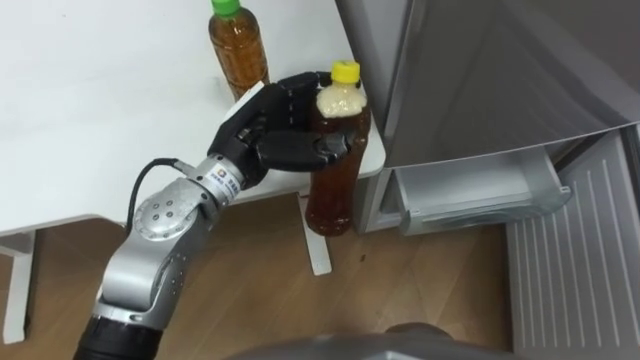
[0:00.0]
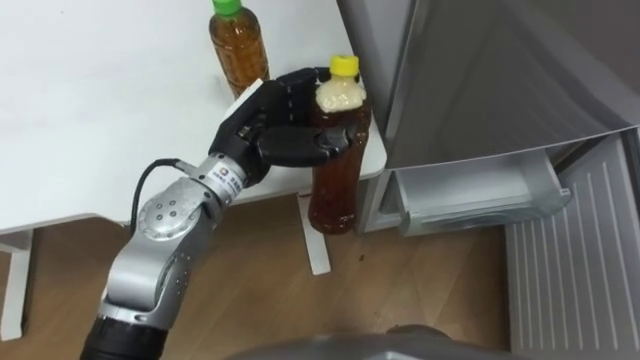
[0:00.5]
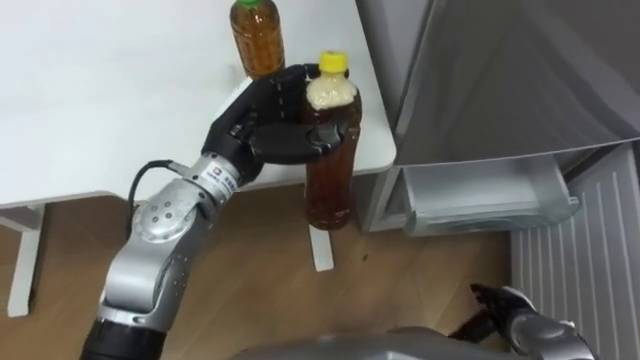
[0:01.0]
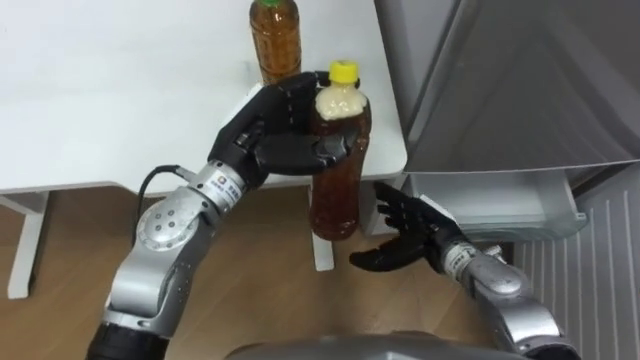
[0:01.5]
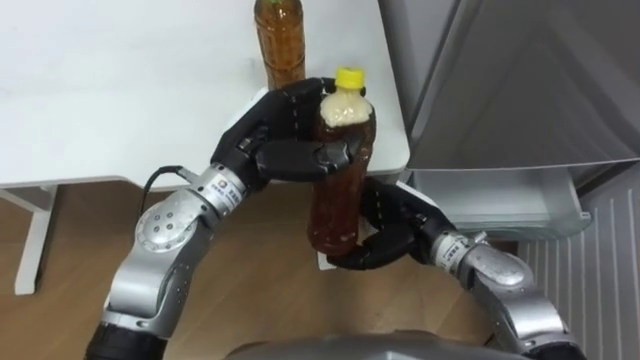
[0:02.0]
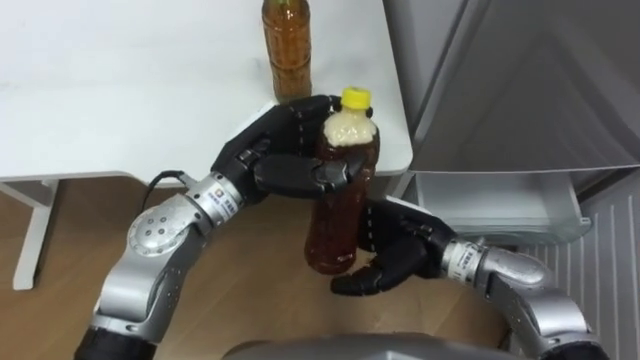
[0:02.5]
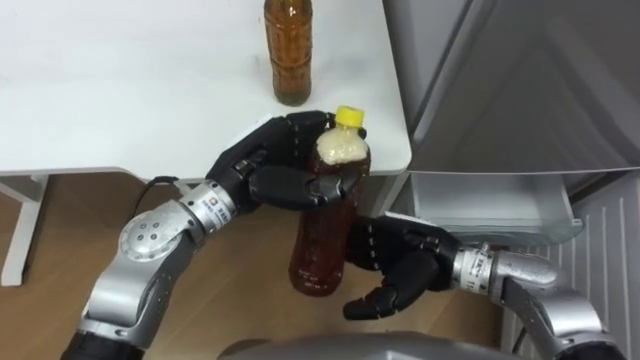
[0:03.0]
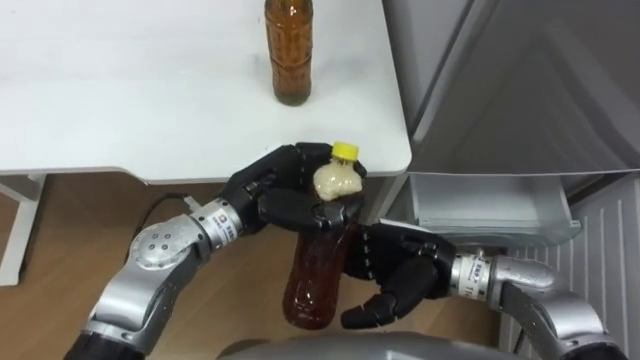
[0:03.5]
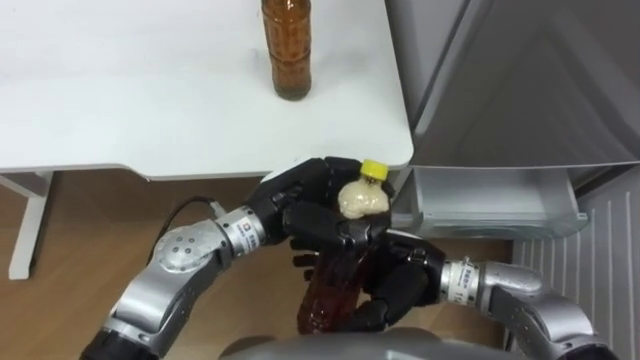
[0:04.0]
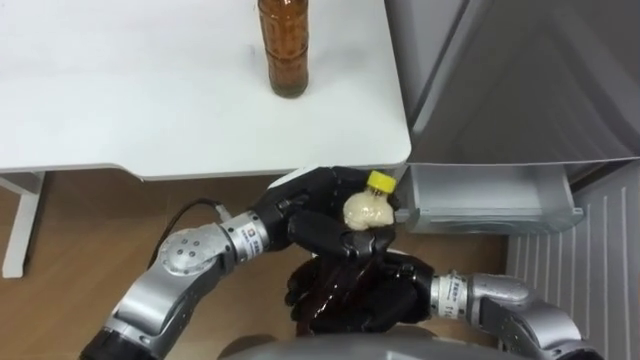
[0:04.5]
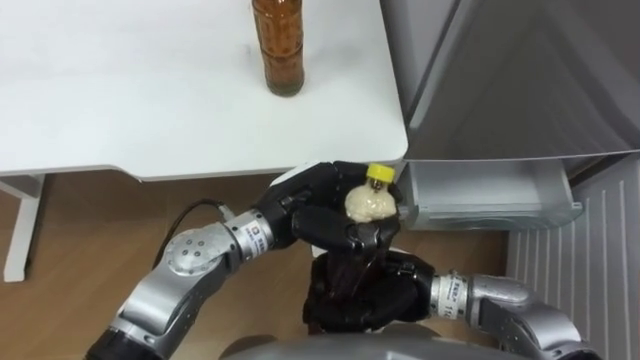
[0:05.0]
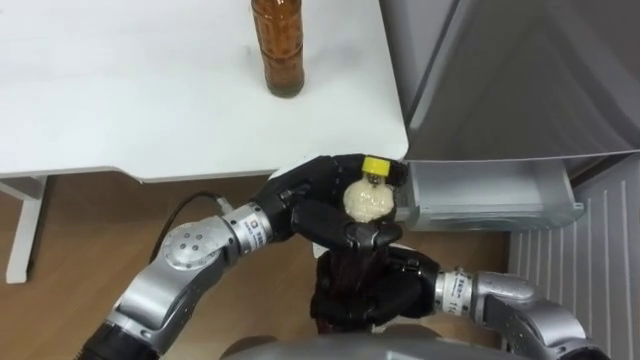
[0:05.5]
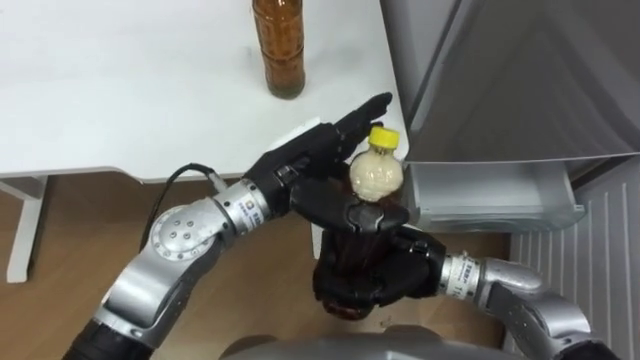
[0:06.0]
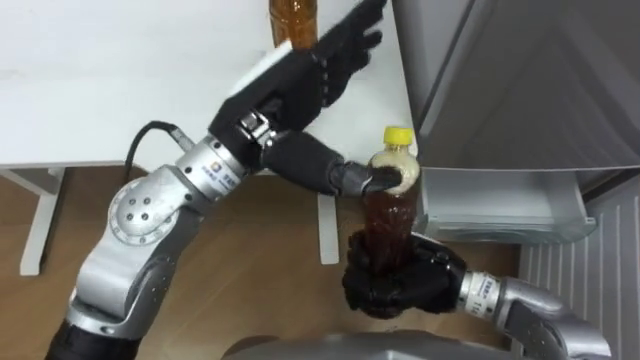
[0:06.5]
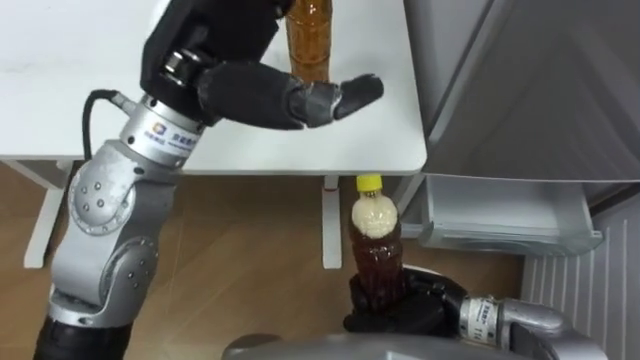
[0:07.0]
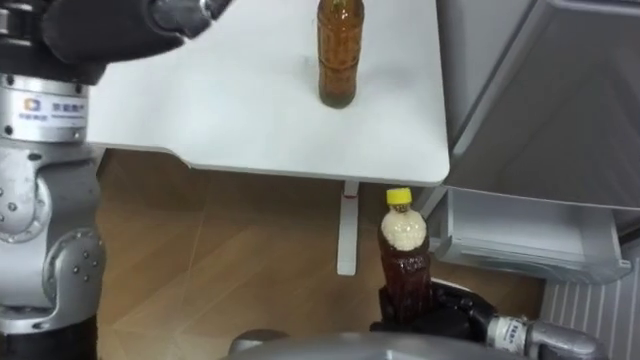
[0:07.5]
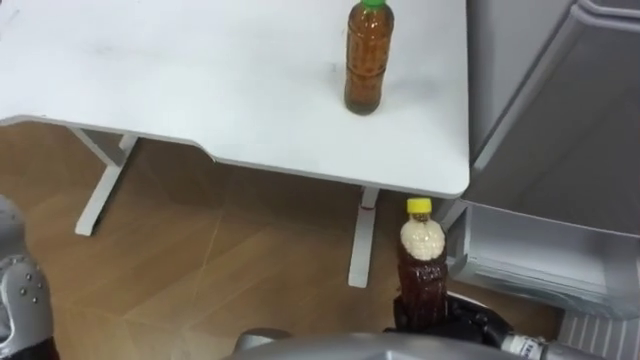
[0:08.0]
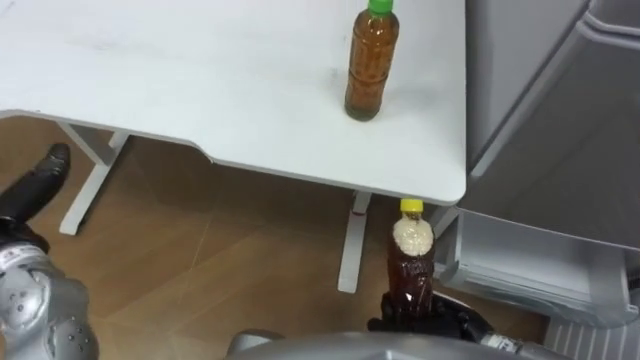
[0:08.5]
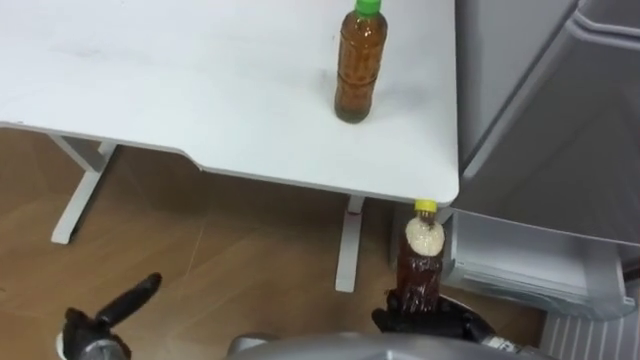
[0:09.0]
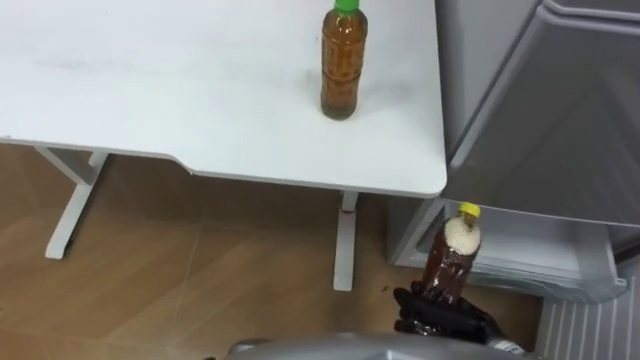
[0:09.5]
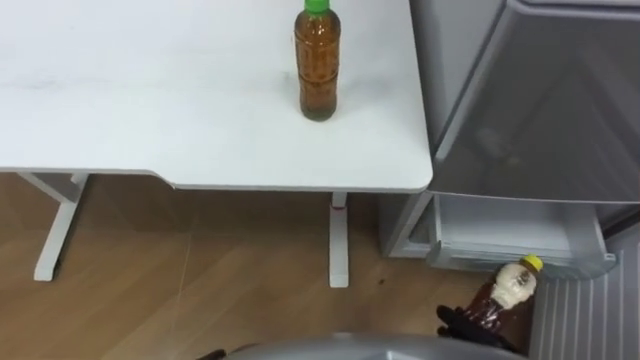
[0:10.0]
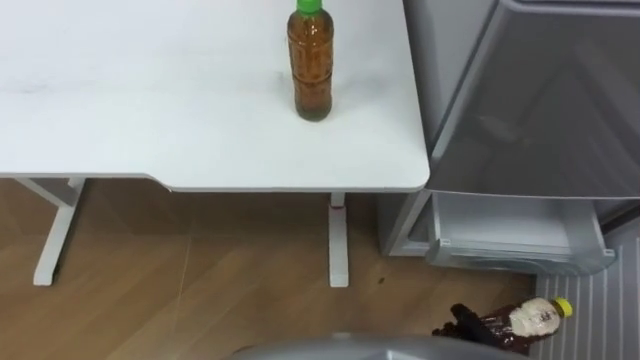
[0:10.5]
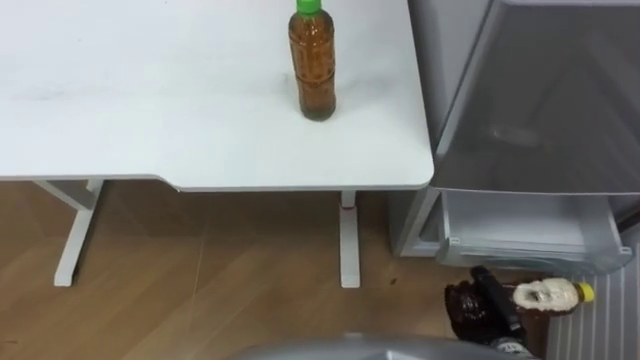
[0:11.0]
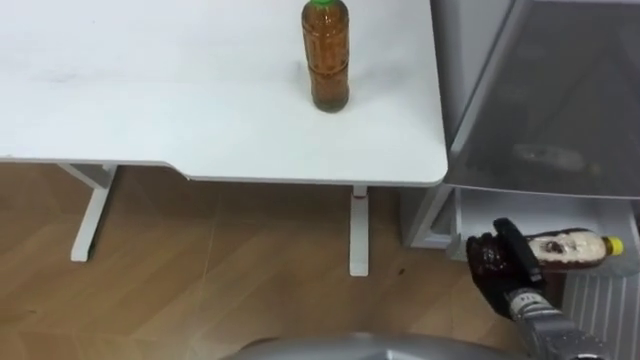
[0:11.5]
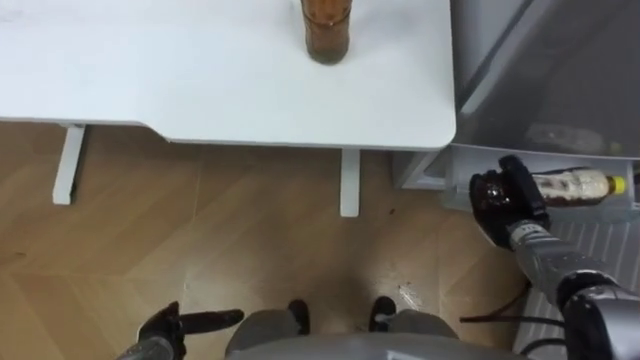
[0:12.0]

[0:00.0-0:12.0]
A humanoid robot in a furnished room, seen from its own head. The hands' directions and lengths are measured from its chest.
Task of the whole recording: Place the drink on the table on the bottom shelf of the refrigerator, then close the drawer and the refrigerator door.
0:02.0 to 0:04.0: The left hand goes roughly 5 cm downward, while the right hand goes about 5 cm backward.
0:04.0 to 0:06.0: The right hand closes, while the left hand goes some 5 cm upward, and opens its fingers.
0:06.0 to 0:08.0: The right hand travels to the right, backward and downward by roughly 15 cm.
0:08.0 to 0:10.0: The right hand heads downward and to the right, covering some 10 cm.

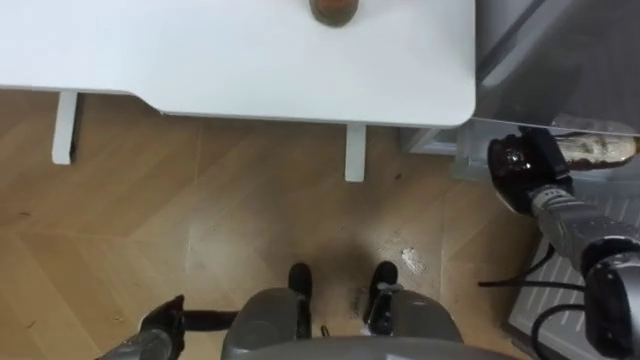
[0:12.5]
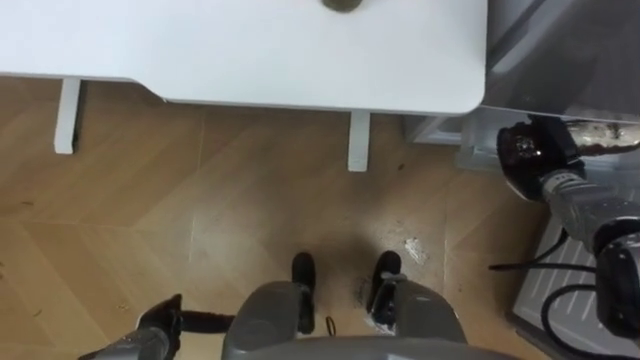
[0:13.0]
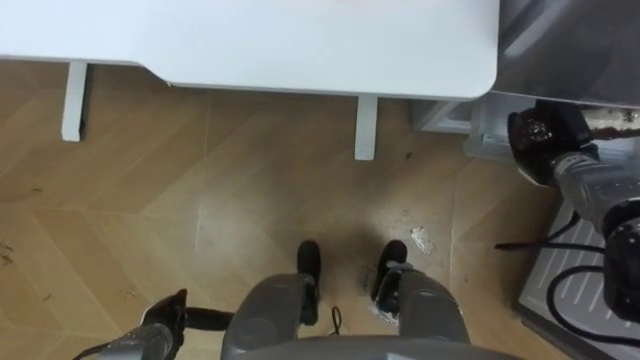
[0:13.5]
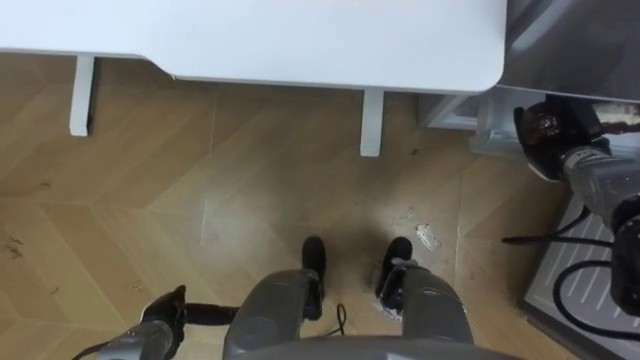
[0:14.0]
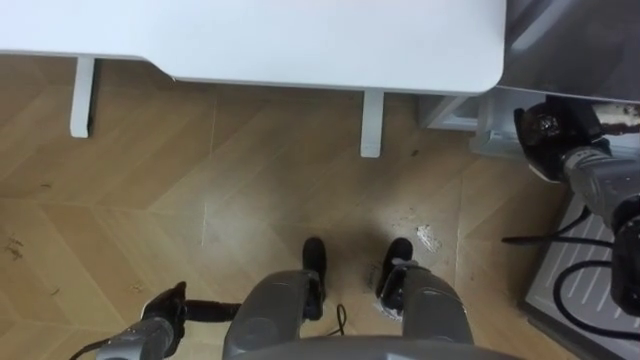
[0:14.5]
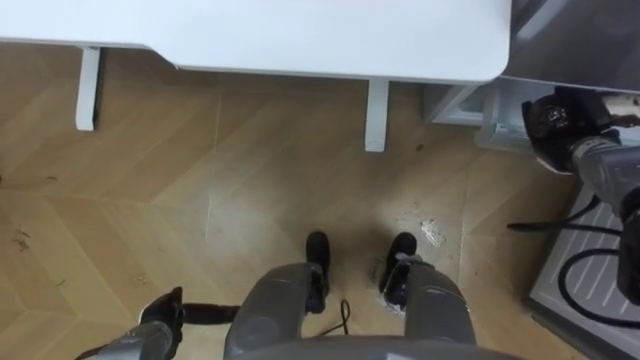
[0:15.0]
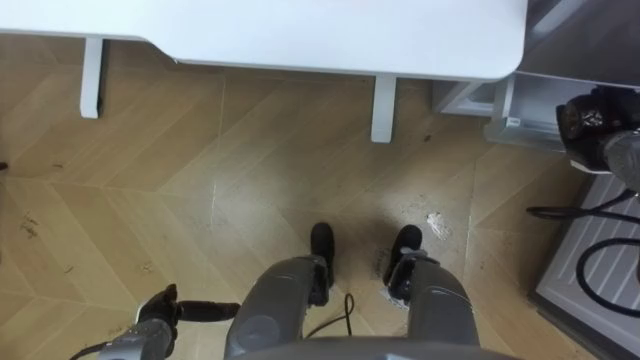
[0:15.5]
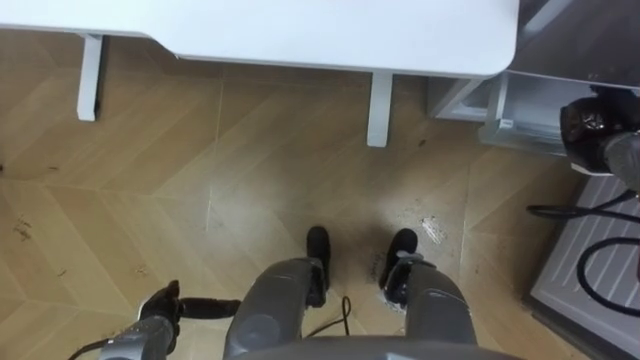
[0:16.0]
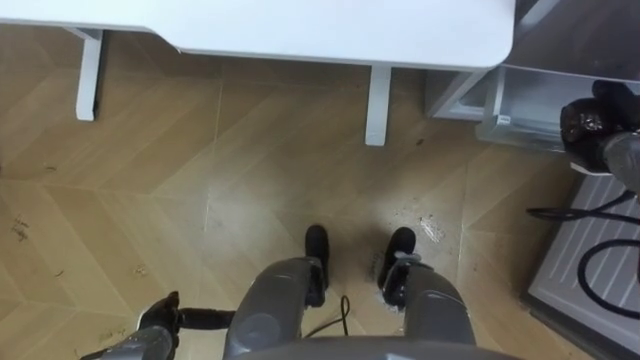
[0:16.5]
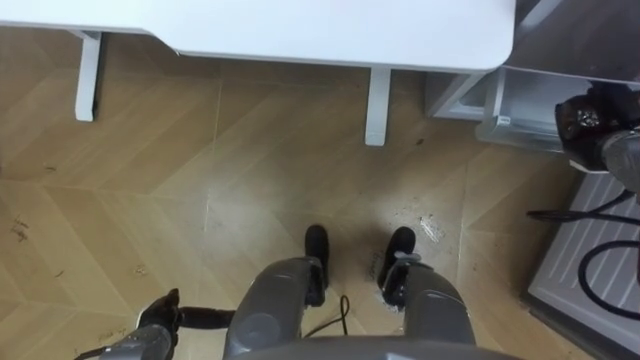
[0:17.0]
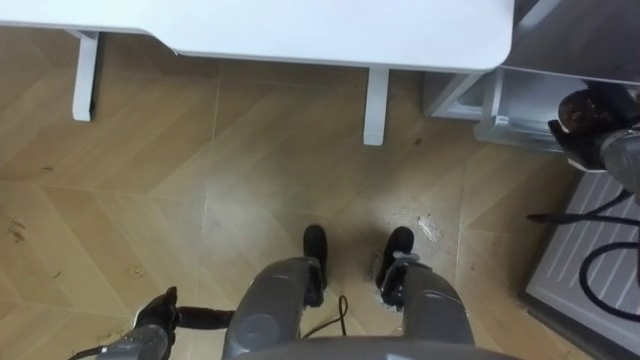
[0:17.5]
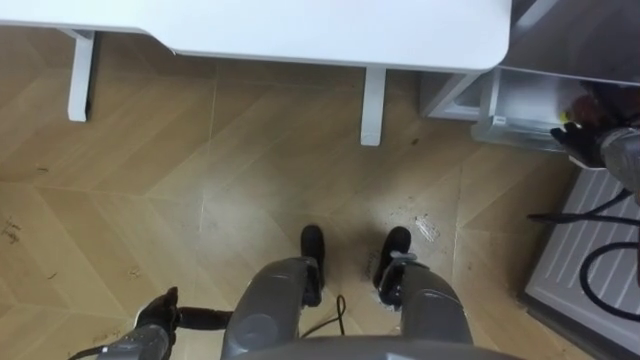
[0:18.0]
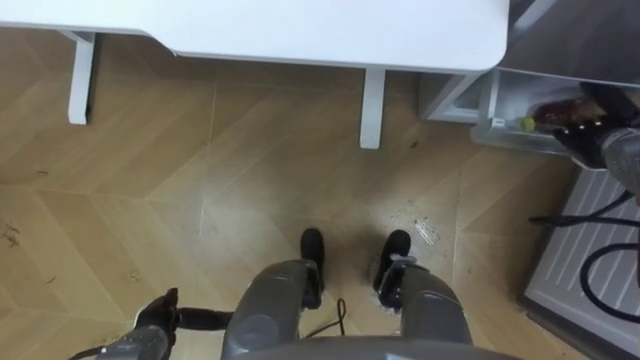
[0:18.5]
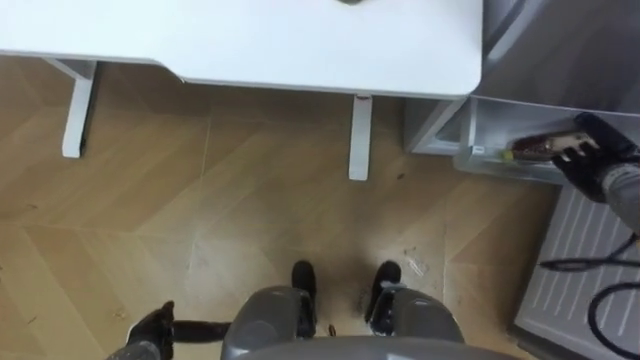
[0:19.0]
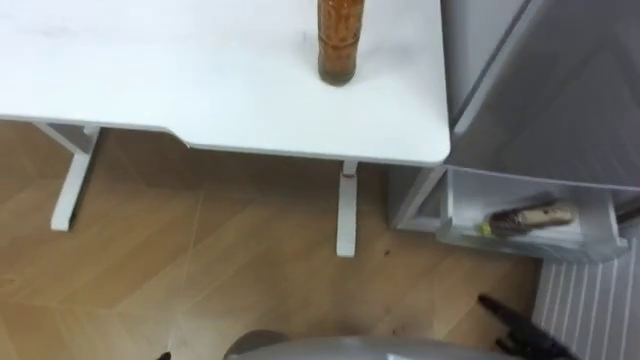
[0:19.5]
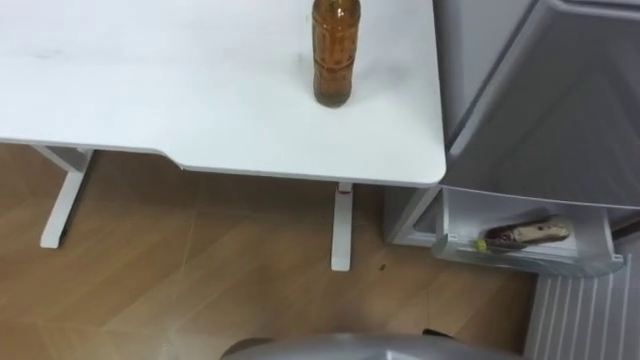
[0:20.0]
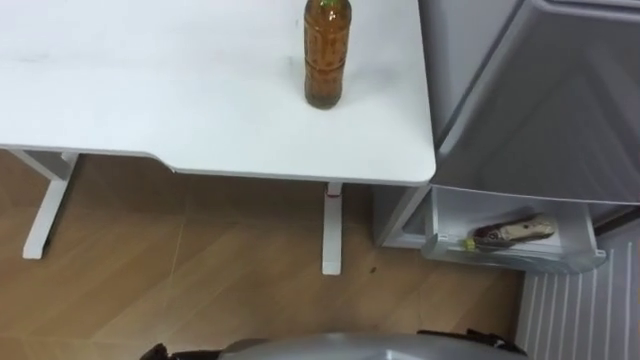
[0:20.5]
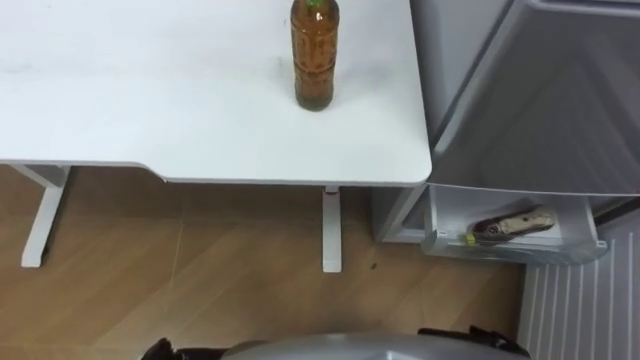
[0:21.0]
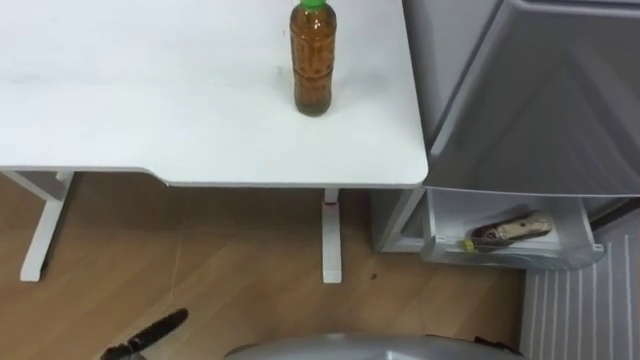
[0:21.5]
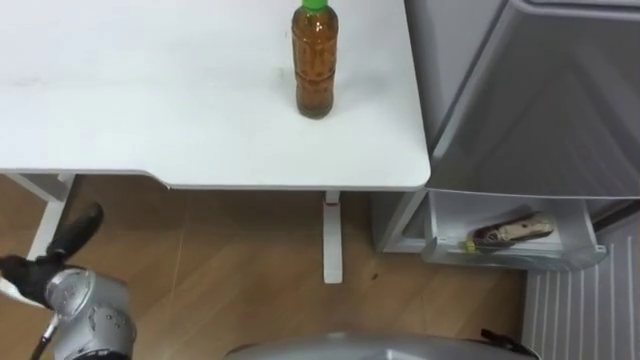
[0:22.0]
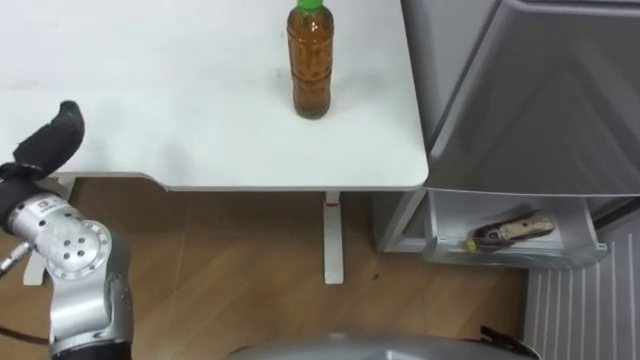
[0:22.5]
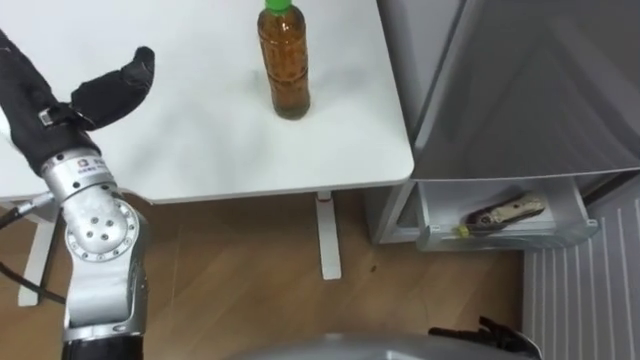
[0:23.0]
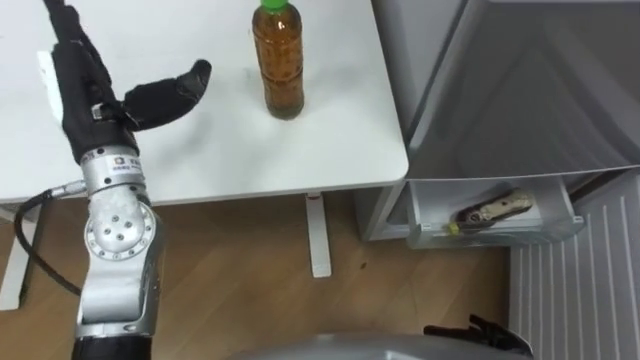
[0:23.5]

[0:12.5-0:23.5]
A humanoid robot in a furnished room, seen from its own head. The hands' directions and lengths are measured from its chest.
Task of the whole recording: Place the drink on the table on the bottom shelf of the refrigerator, then close the drawer and the refrigerator door.
0:12.5 to 0:14.5: The right hand ends up about 5 cm from where it was.
0:16.0 to 0:18.0: The right hand opens.
